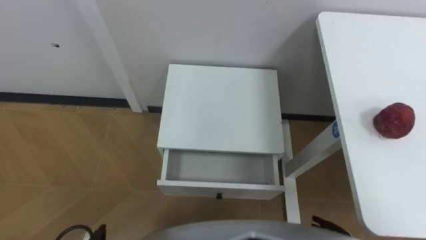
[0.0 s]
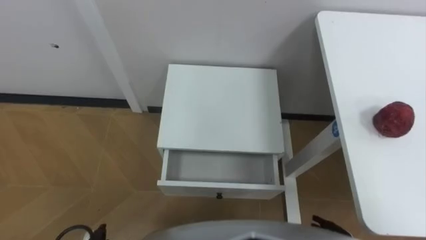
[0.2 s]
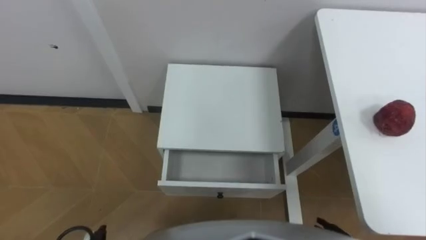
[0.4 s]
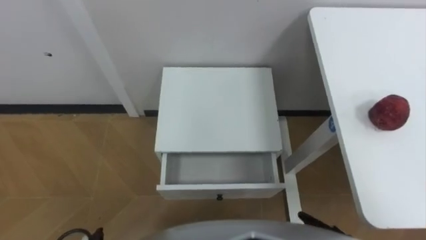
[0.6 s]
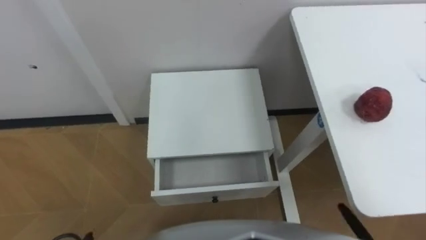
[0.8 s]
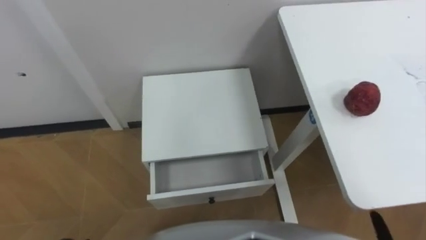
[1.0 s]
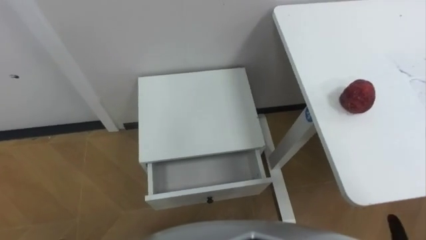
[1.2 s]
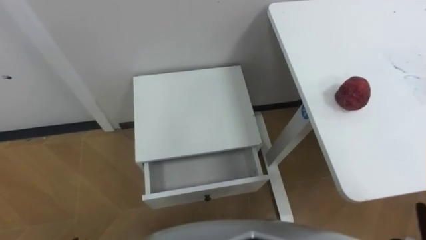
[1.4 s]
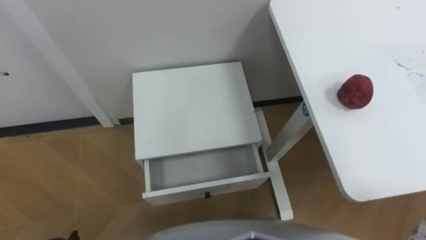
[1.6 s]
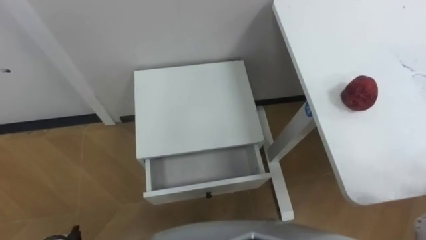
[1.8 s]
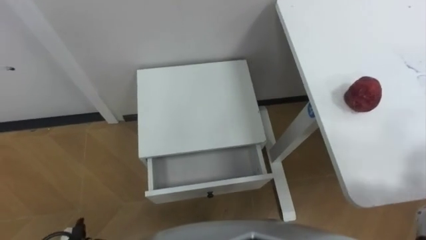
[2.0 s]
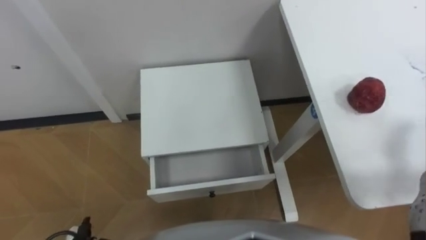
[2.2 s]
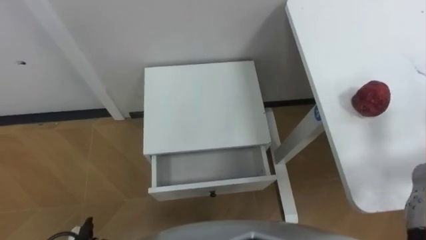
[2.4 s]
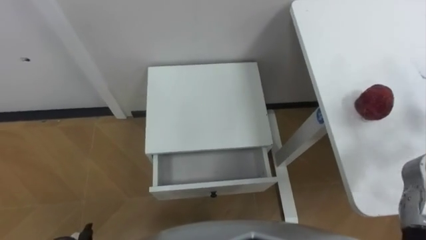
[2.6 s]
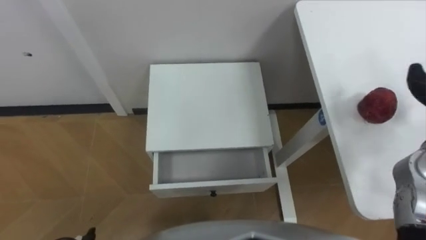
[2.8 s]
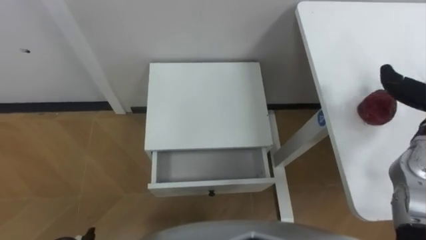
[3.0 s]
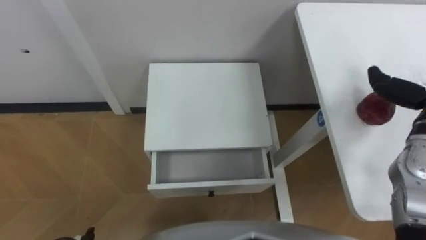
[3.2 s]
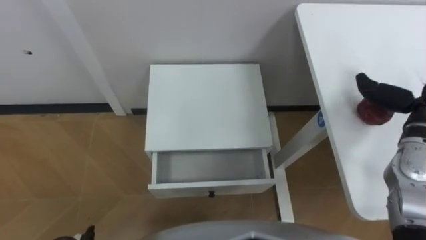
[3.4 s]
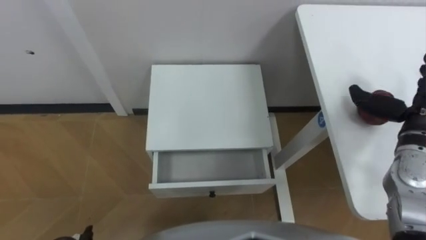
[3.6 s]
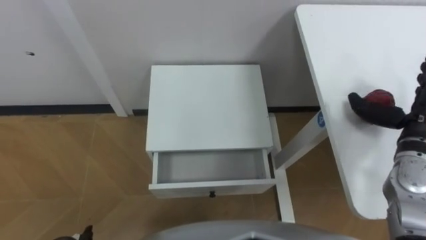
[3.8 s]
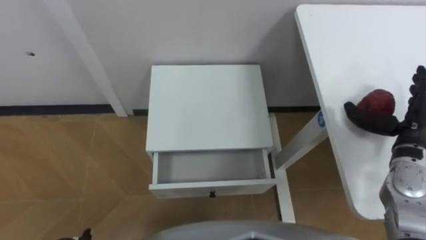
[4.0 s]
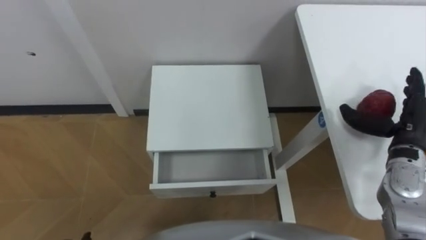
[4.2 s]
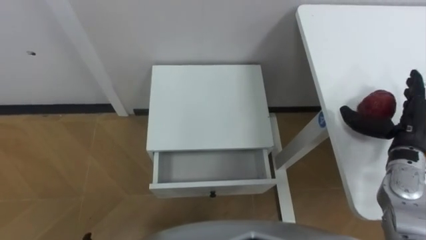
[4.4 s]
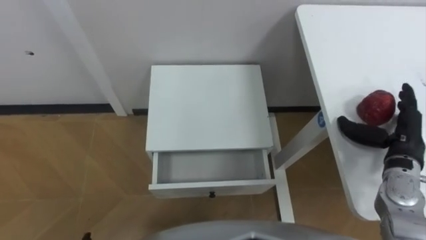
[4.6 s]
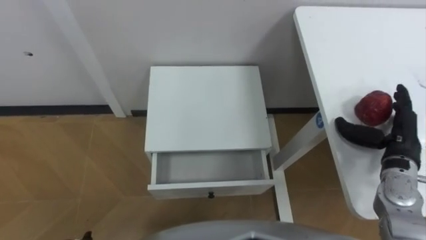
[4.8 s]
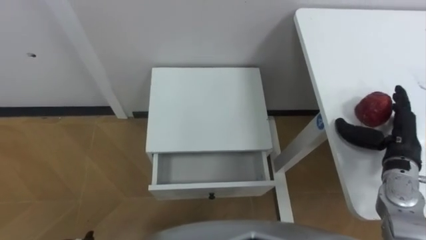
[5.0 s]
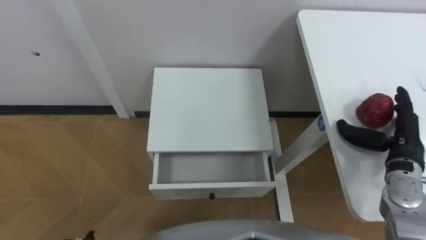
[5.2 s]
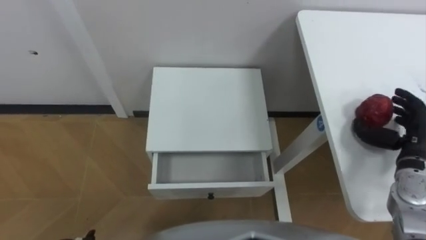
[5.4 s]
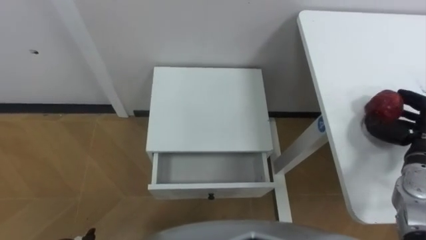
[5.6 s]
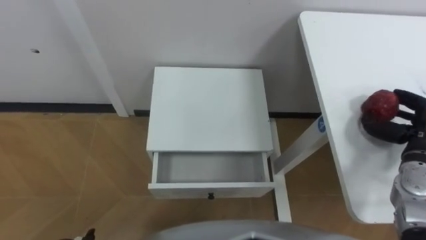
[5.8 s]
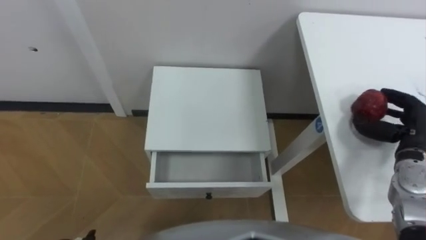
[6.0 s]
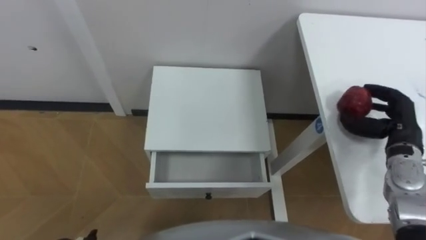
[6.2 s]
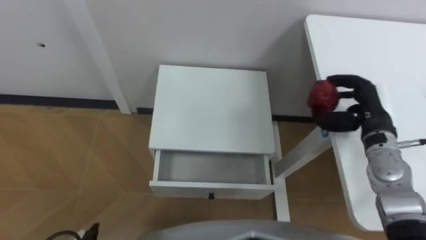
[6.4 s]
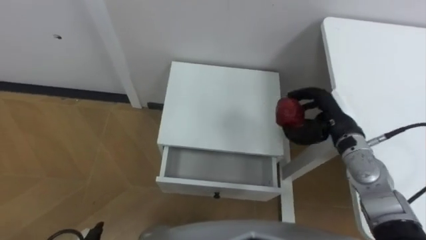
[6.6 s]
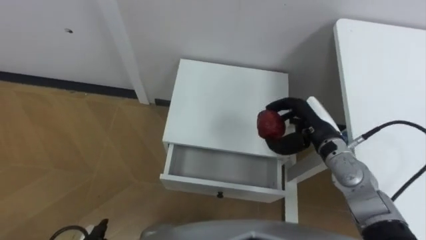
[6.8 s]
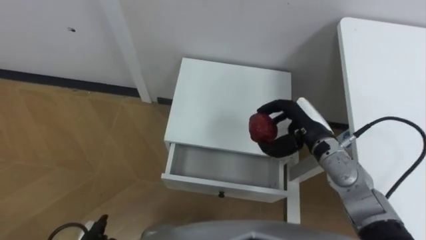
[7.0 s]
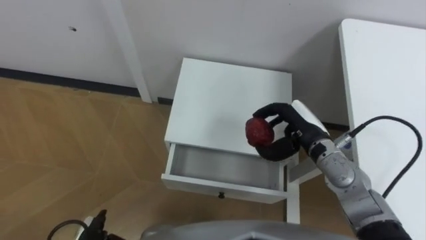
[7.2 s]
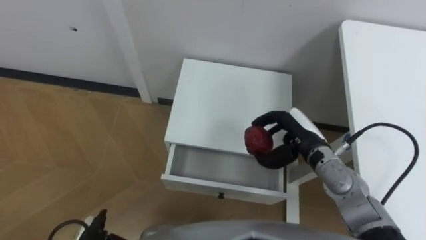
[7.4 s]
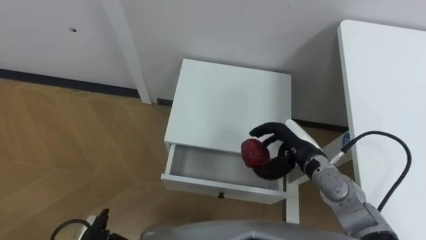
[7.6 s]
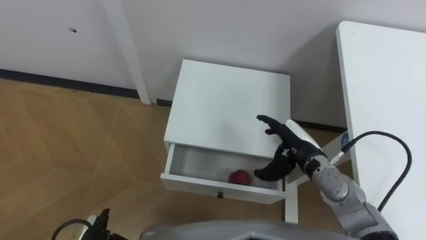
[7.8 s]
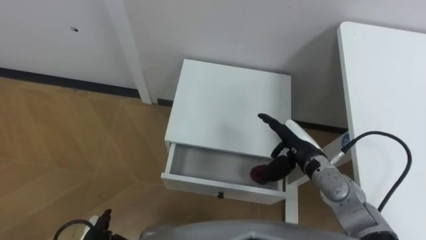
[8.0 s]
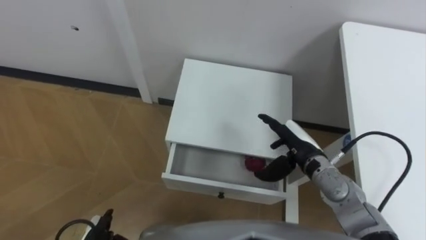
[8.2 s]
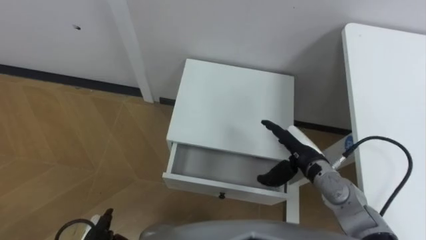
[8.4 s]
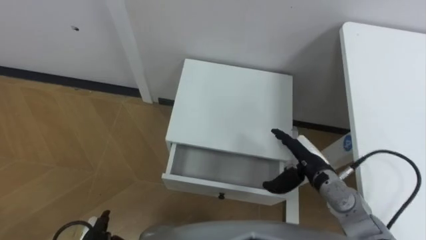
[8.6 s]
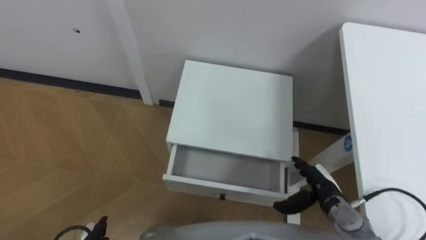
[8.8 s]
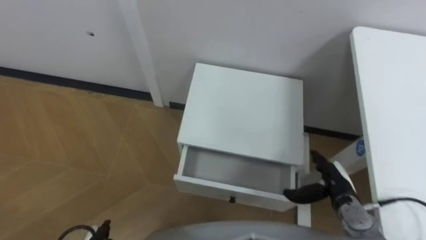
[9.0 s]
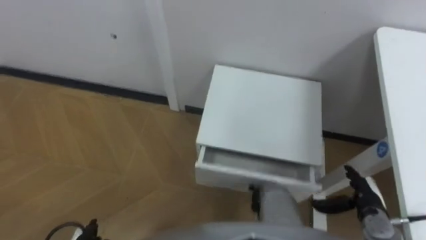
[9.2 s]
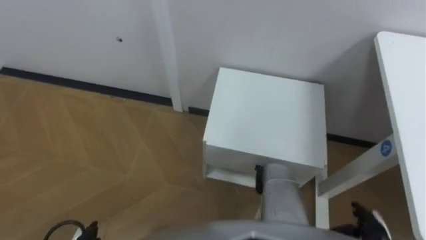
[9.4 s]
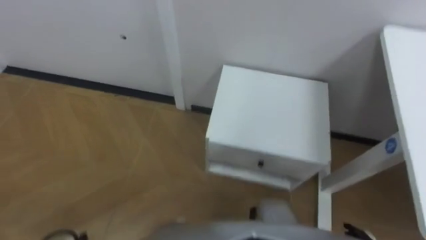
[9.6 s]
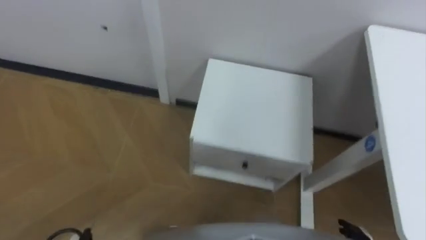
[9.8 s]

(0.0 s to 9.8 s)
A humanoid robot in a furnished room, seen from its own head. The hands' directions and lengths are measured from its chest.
Task of the whole recording: Pick up the apple from the table, put it in the drawer, and close the drawer with leg.
4.2 s - 5.6 s: The right hand closes up.
5.6 s - 7.0 s: The right hand goes about 20 cm to the left.
7.0 s - 8.4 s: The right hand shifts by some 5 cm, and opens its fingers.

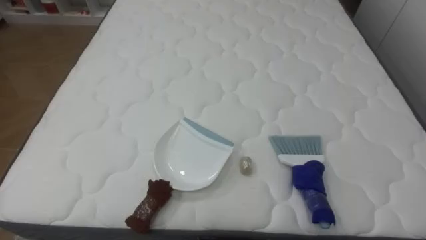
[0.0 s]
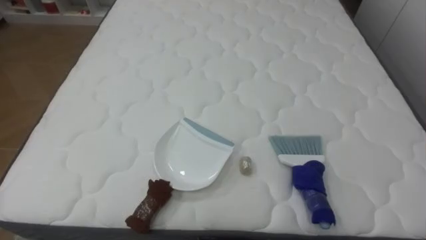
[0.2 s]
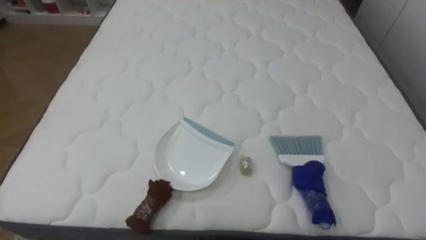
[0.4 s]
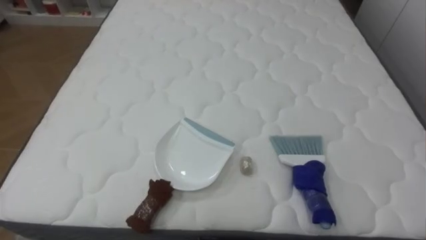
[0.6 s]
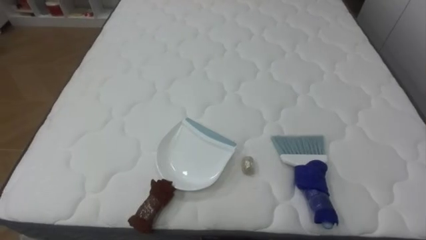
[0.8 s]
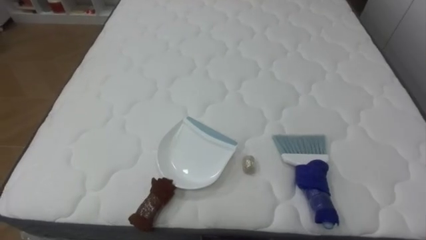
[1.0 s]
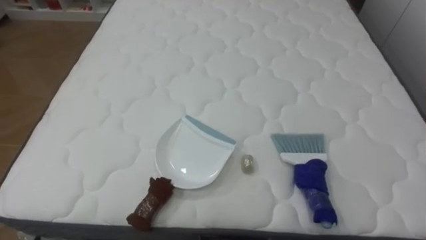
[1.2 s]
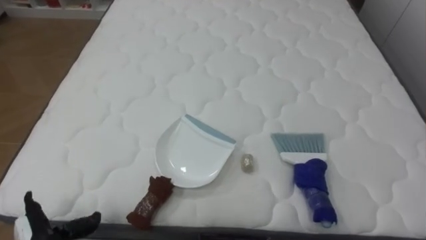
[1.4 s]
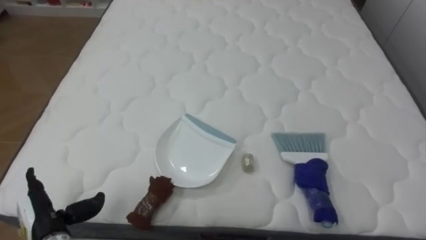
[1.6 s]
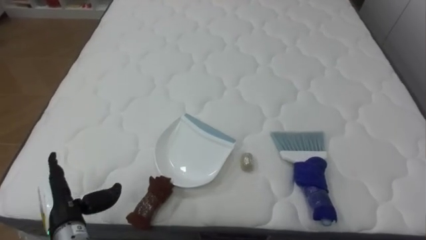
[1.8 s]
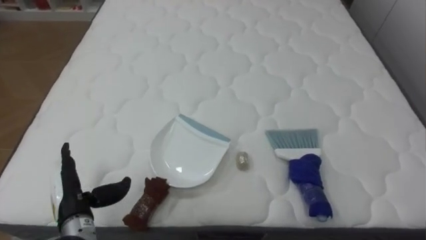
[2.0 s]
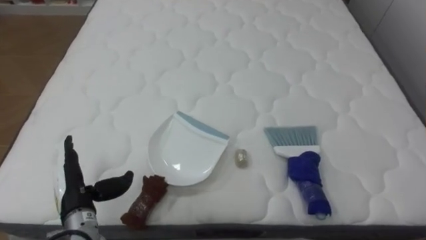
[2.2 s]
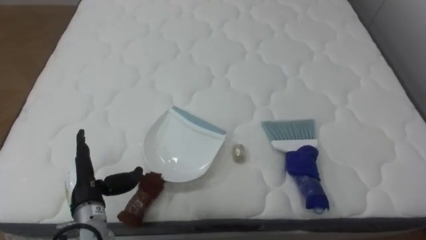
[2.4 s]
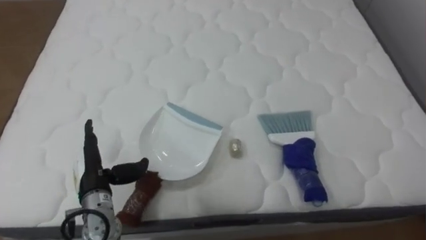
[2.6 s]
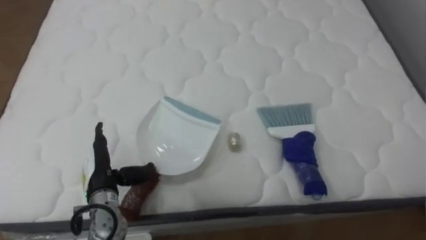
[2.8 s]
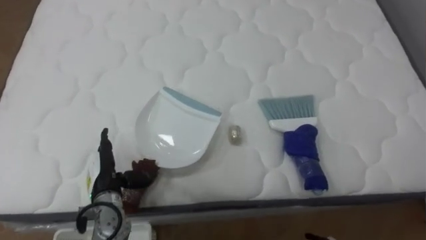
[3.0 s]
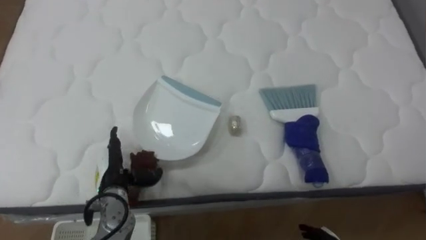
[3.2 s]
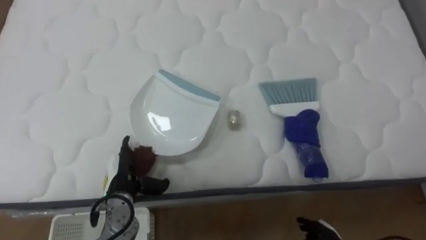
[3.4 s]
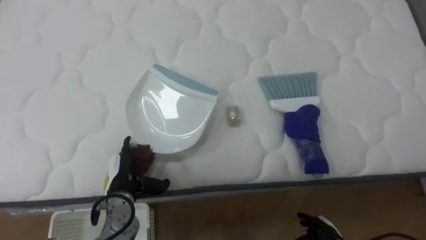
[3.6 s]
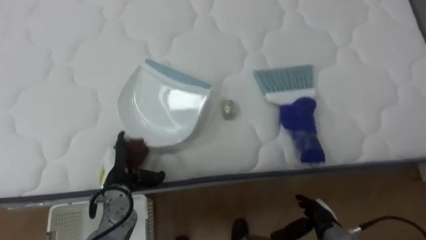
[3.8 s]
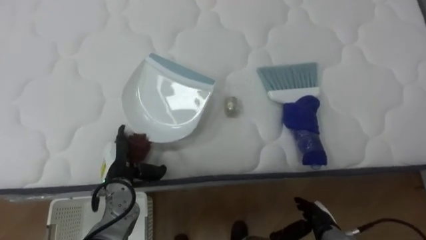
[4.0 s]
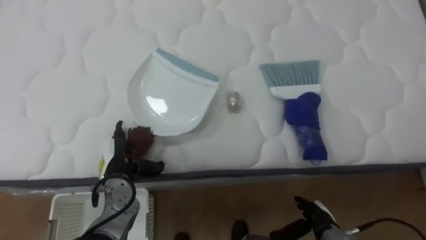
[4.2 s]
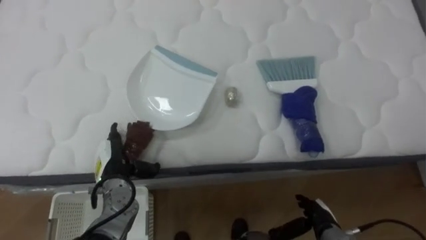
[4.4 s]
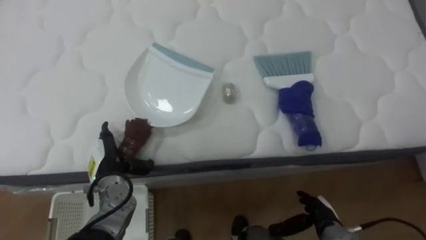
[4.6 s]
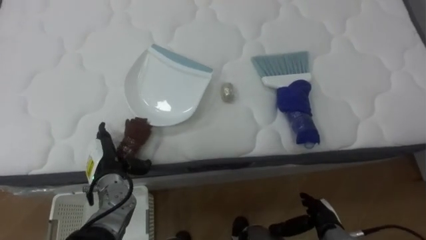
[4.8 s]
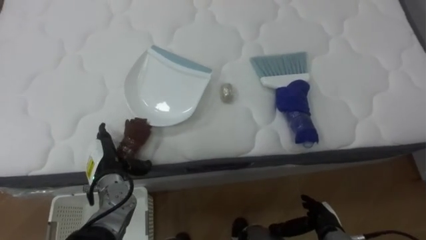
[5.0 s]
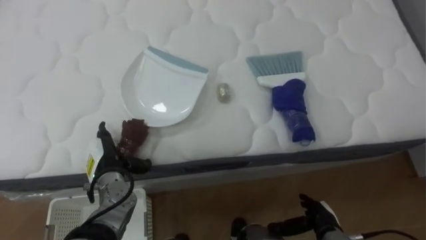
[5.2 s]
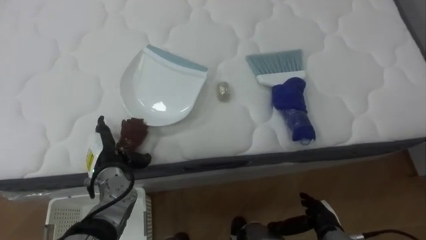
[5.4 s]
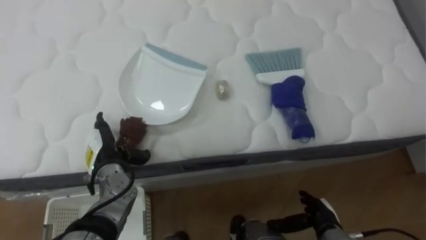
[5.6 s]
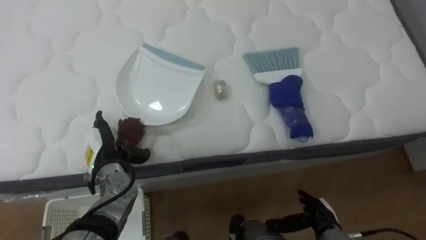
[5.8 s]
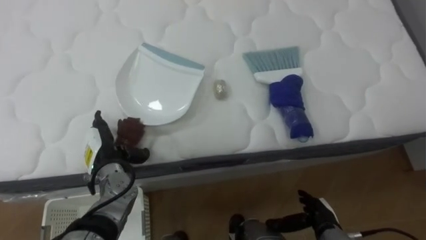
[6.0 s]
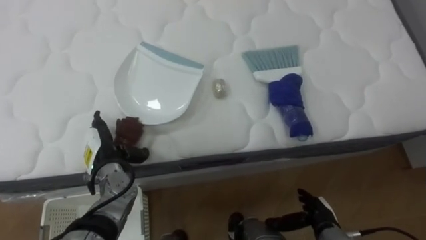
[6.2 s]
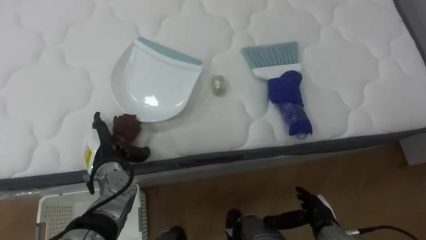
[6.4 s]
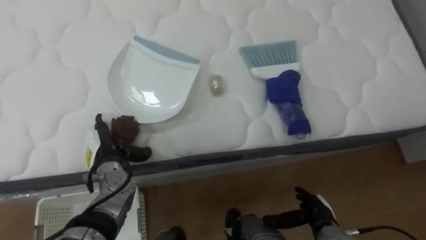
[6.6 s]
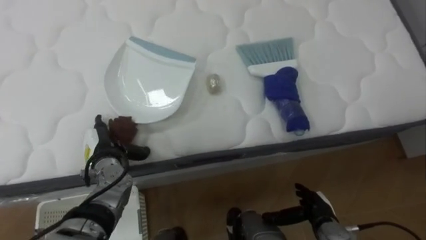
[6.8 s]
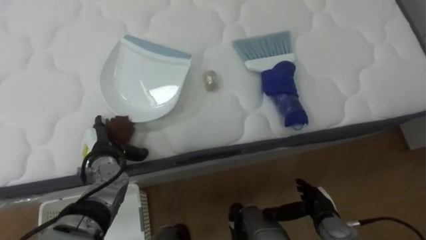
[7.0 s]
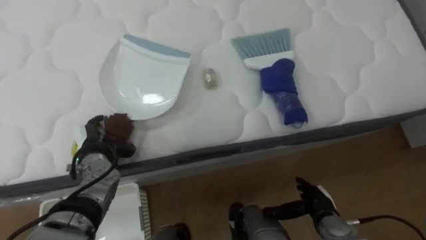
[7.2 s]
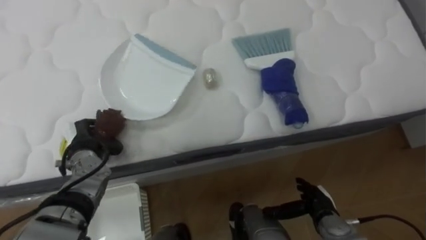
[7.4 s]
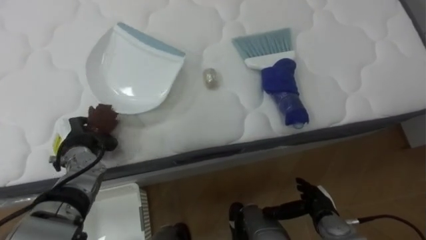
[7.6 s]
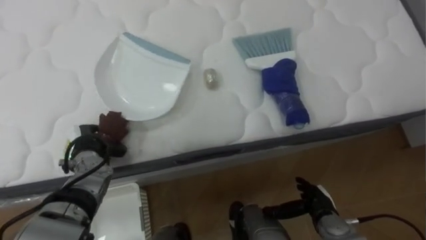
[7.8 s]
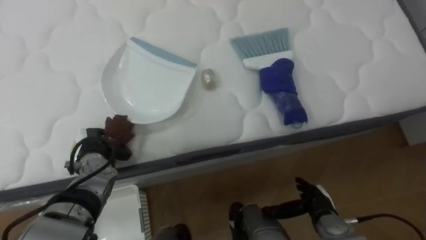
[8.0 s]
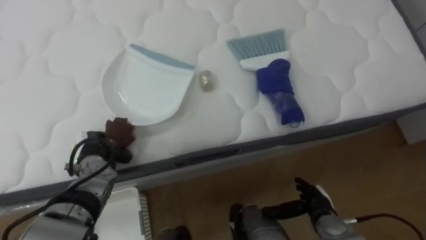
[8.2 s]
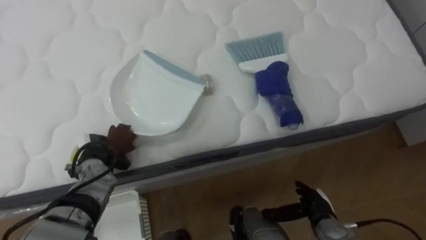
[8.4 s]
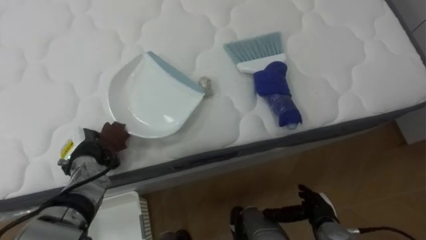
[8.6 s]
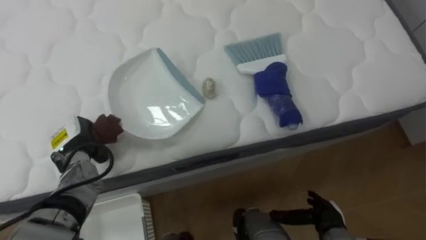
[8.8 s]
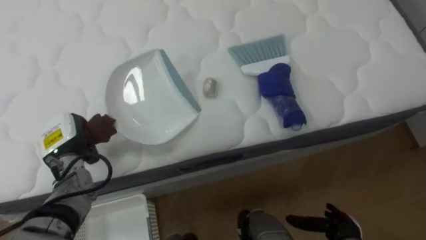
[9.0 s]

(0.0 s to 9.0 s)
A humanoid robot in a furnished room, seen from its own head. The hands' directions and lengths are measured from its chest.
Task of the whole recording: Pick up the brush on your right and the dustpan on your left. Use the brush to sweep the crumpled paper on the bed into the dustpan, then turn left and empty it into the basket.
1.6 s - 3.0 s: The left hand heads to the right and forward, covering some 15 cm.
6.0 s - 7.6 s: The left hand shifts approximately 5 cm to the left, and closes up.
7.6 s - 9.0 s: The right hand shifts by about 5 cm.
